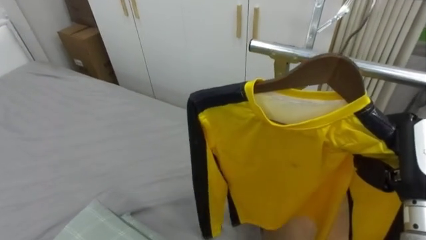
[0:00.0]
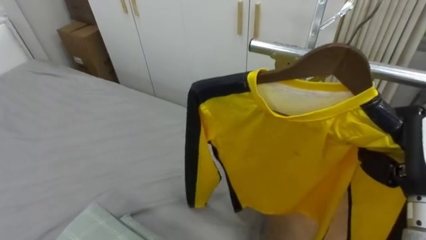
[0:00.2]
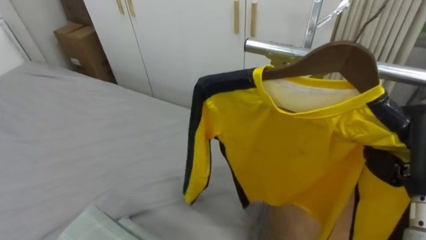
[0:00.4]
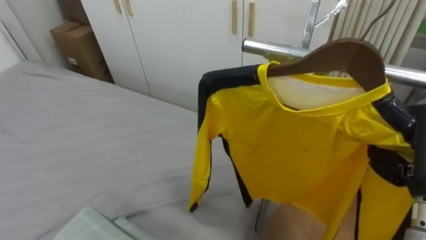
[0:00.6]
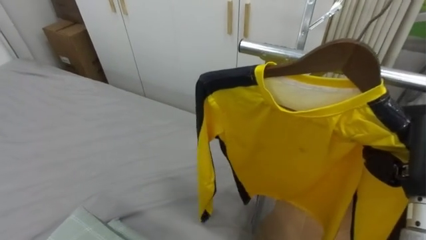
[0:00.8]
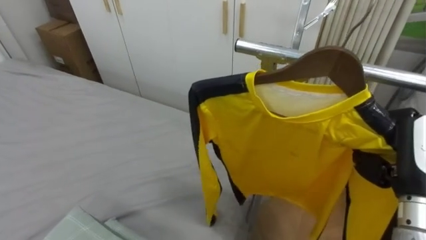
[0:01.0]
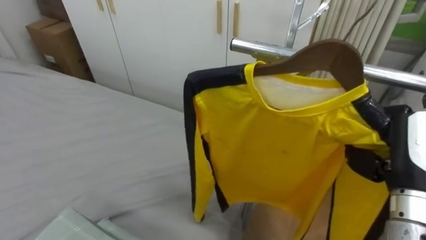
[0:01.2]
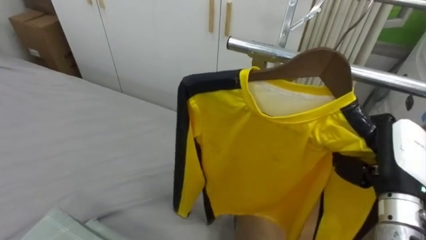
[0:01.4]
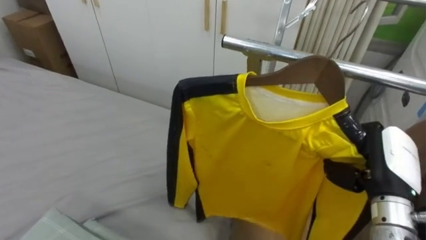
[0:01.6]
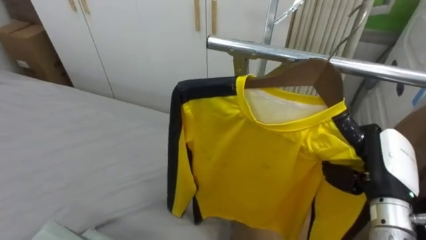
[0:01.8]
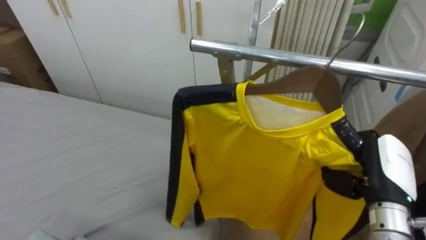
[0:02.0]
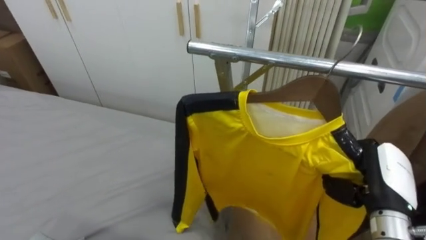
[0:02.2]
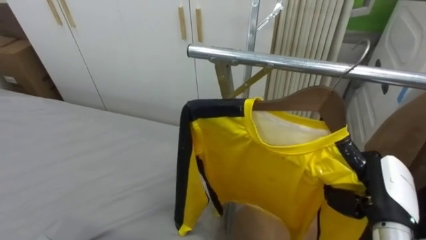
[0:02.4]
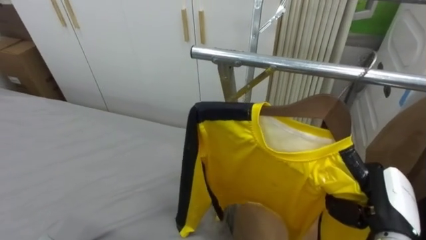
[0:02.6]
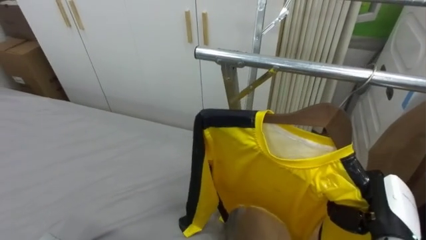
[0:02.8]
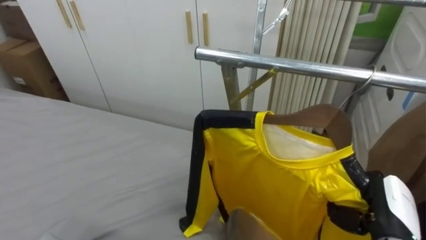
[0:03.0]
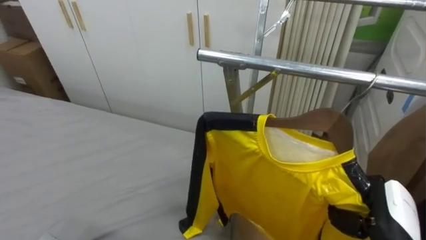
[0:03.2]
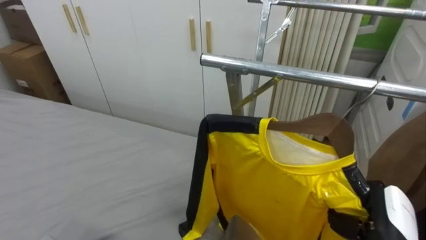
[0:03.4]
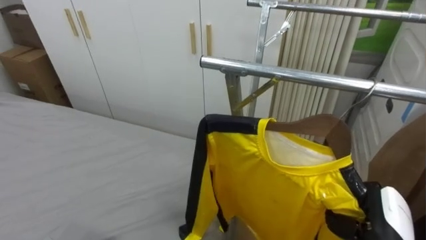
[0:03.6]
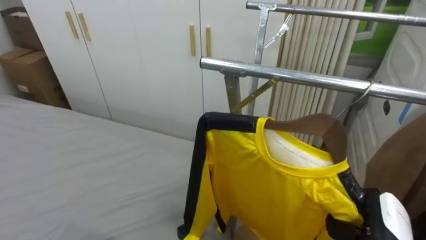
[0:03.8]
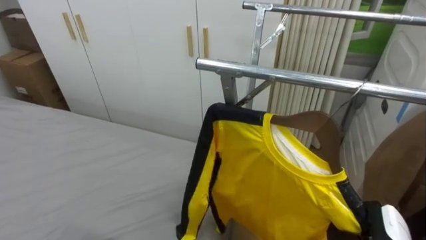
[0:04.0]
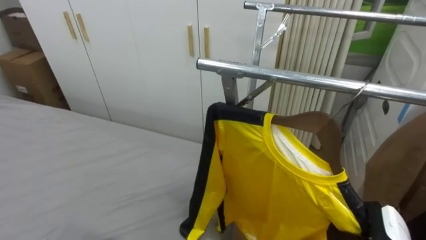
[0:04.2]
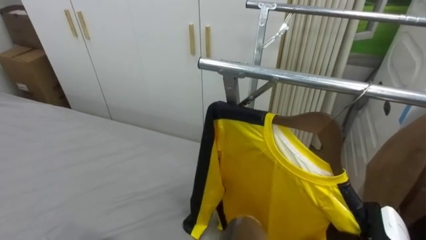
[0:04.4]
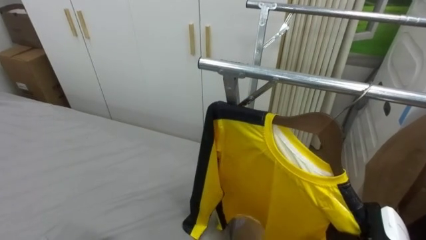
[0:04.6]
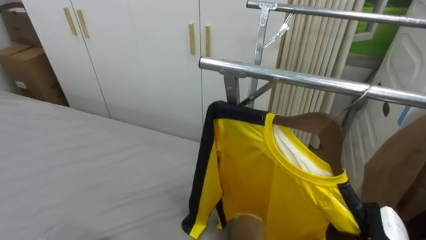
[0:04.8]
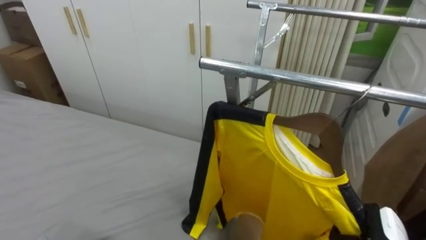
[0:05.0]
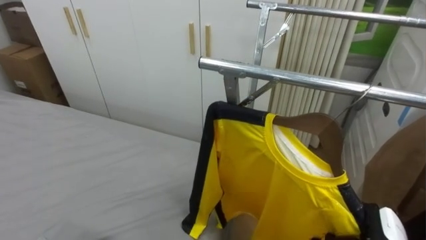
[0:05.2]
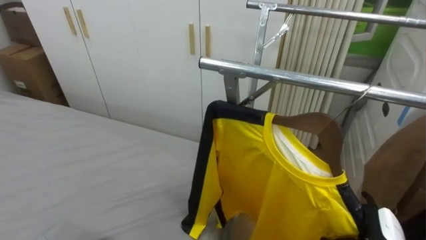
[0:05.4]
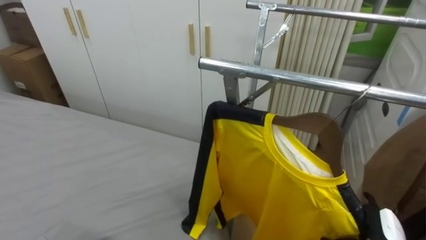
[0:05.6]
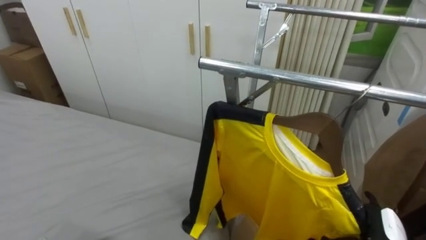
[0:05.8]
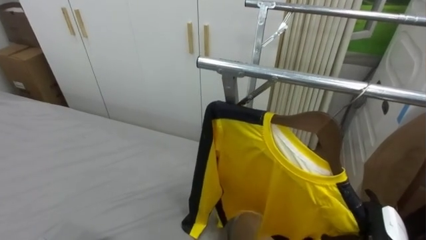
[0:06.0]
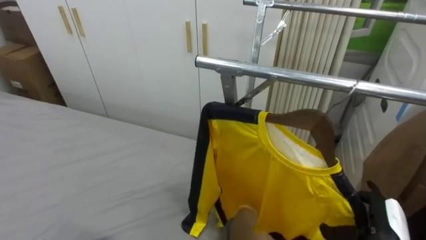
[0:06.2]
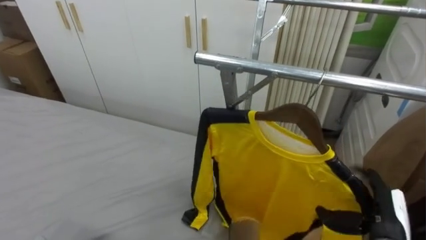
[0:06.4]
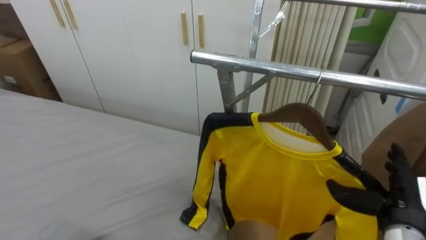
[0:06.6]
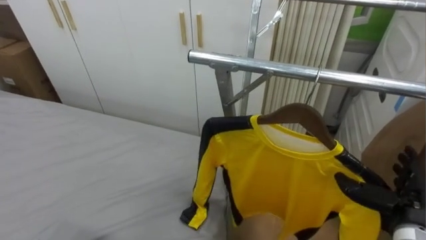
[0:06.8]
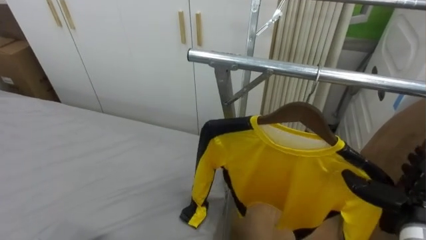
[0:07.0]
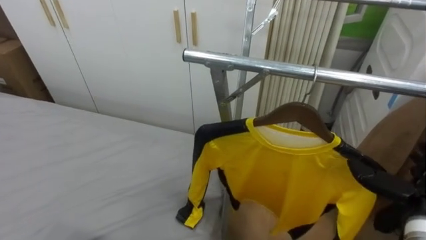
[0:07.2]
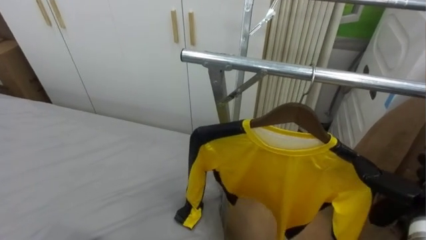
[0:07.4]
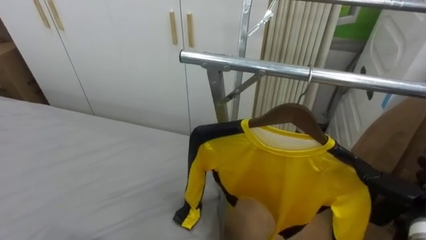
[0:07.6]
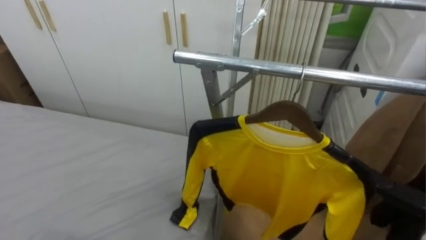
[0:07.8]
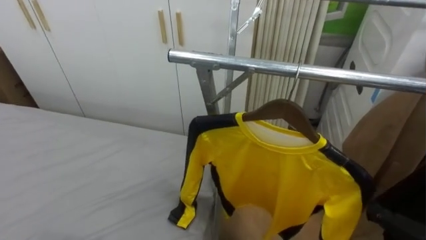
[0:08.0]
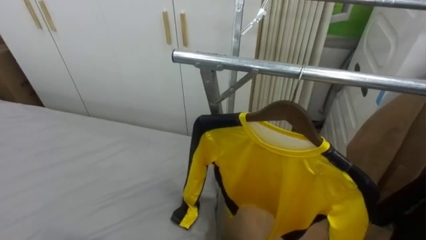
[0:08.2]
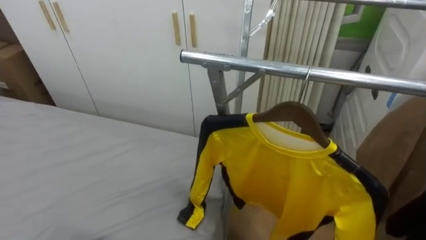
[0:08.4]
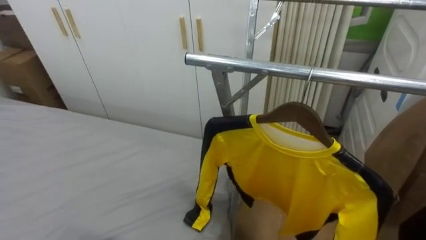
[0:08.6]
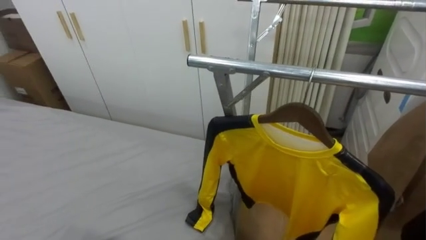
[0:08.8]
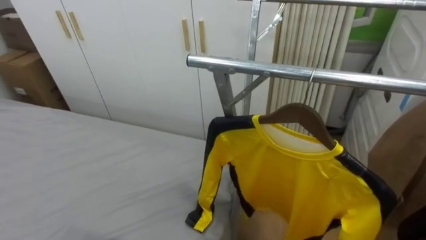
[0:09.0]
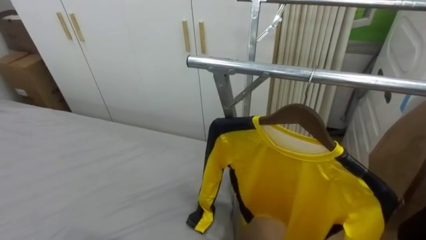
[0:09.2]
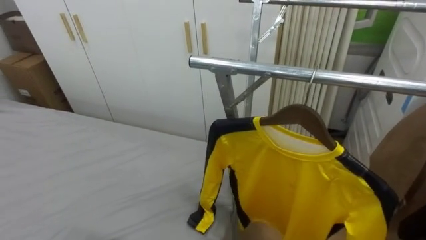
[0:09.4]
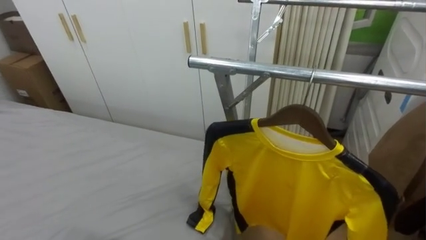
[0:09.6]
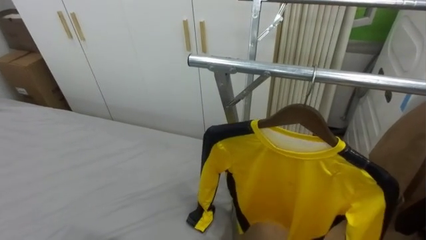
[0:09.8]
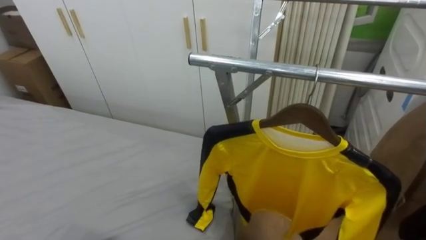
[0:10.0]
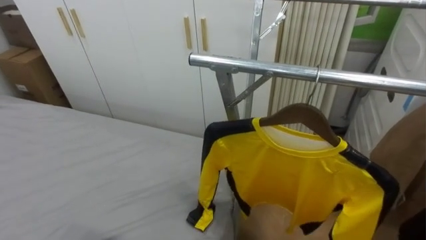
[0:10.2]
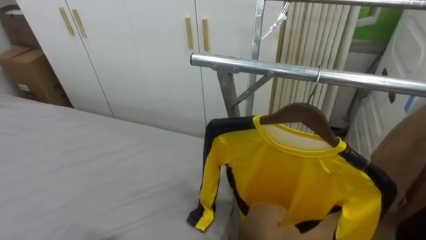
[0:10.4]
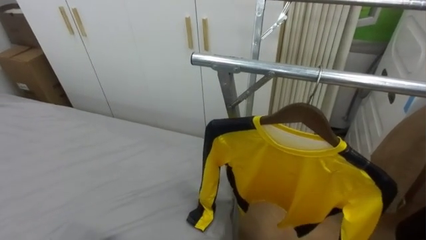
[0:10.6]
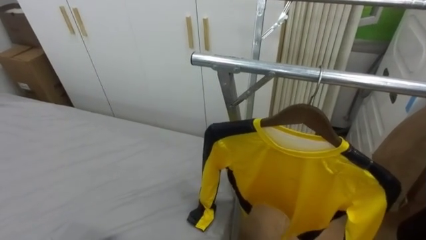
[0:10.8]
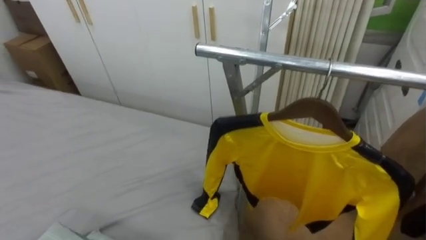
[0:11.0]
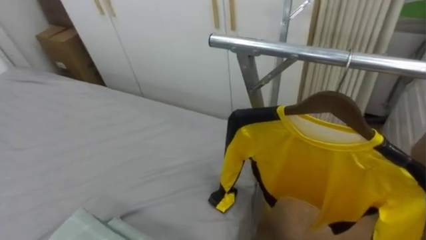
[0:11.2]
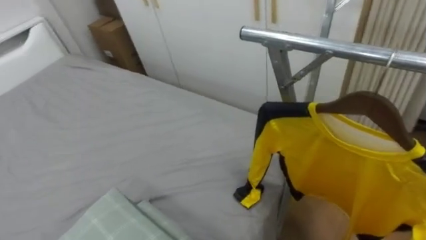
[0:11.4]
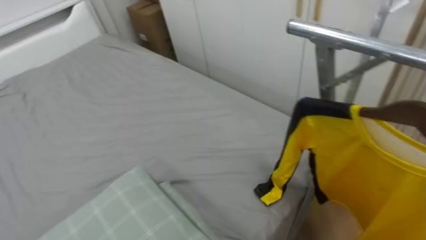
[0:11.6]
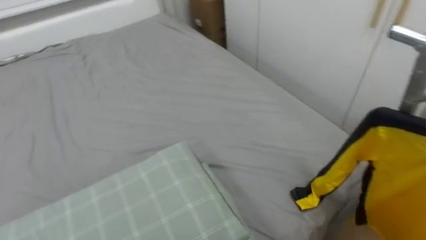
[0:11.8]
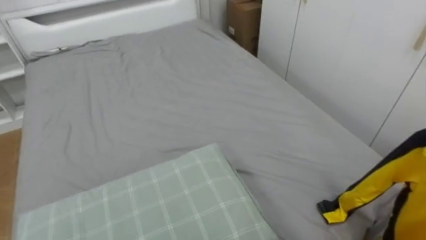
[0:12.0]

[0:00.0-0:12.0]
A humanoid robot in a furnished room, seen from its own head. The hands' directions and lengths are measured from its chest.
Task of the whole recording: Pick up the yellow shirt on the bed and hang it on the clothes rack on the right.
1.6 to 3.0 s: The right hand is displaced downward by approximately 10 cm.
10.4 to 12.0 s: The robot turns to its left by approximately 40 degrees.

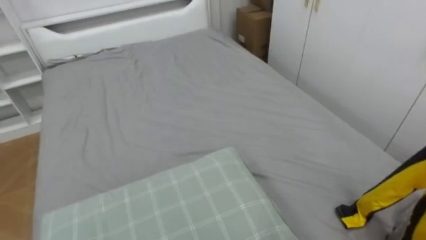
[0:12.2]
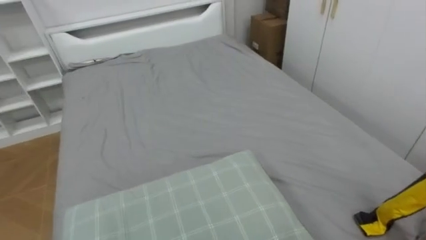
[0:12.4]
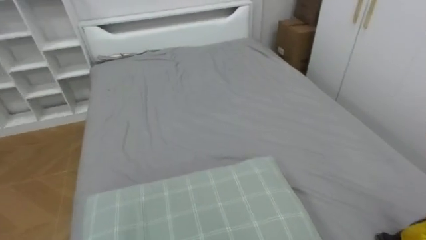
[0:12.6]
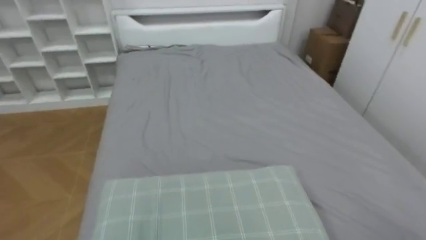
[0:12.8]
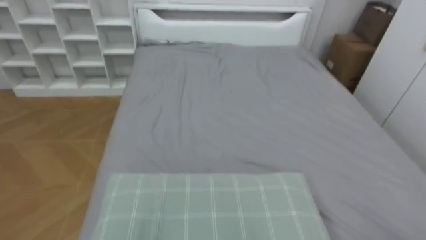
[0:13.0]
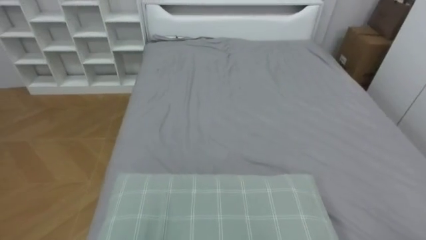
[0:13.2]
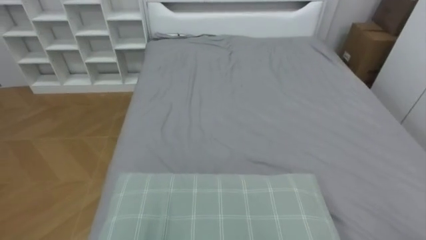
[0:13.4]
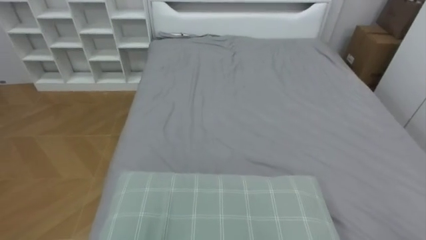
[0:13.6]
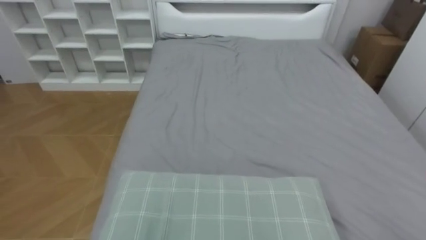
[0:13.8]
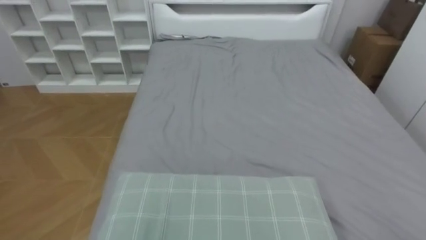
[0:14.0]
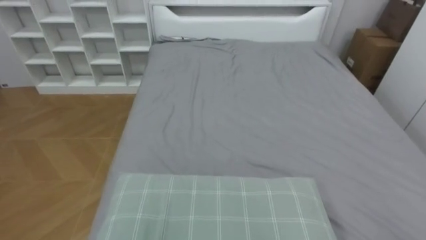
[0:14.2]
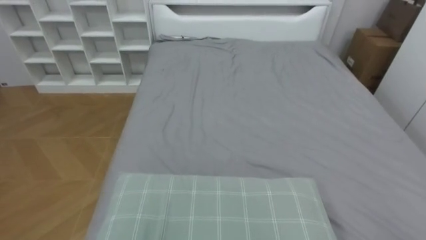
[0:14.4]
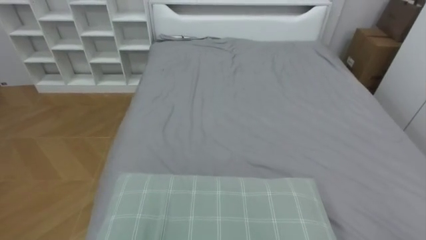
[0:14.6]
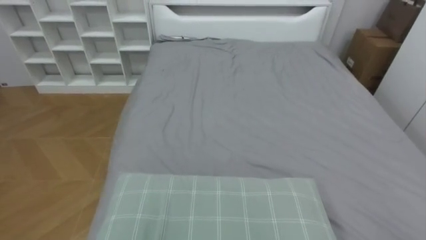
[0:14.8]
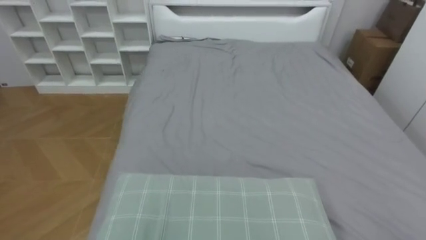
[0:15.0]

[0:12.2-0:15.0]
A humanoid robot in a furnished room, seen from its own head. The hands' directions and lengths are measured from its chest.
Task of the whole recording: Pick up the yellow shirt on the bed and hang it on the clothes rack on the right.
12.2 to 13.6 s: The robot's body swings roughly 25 degrees to its left.

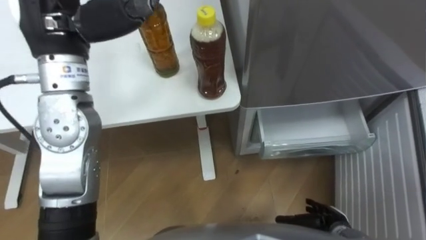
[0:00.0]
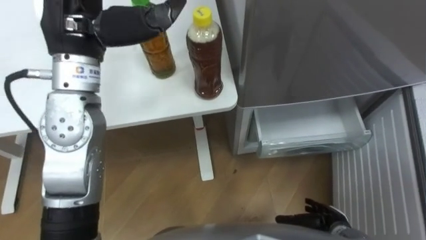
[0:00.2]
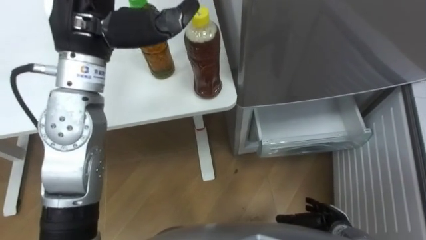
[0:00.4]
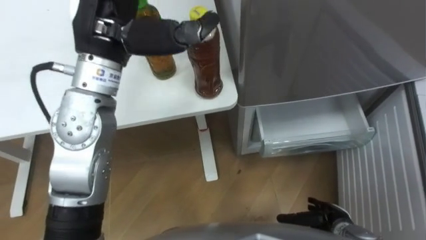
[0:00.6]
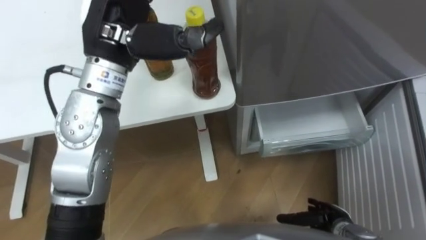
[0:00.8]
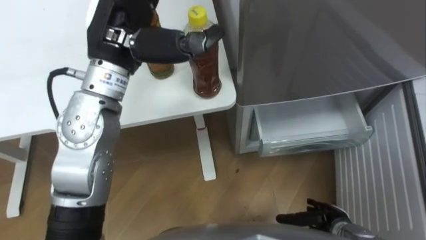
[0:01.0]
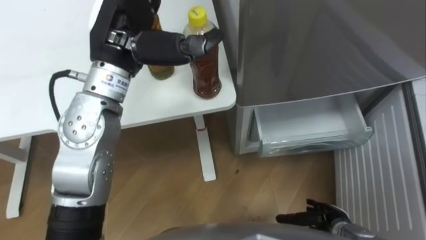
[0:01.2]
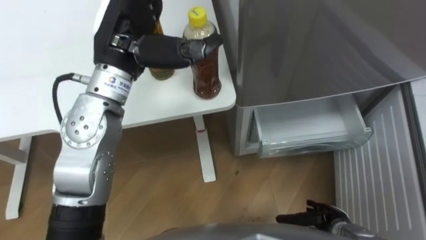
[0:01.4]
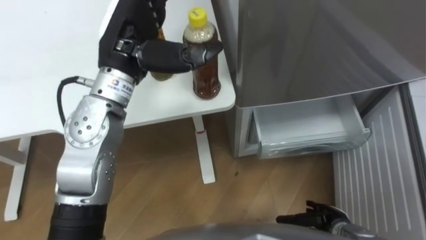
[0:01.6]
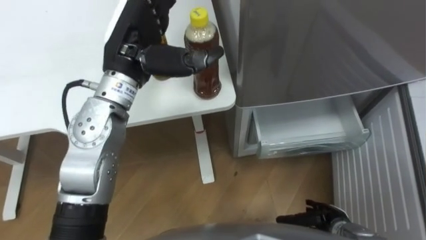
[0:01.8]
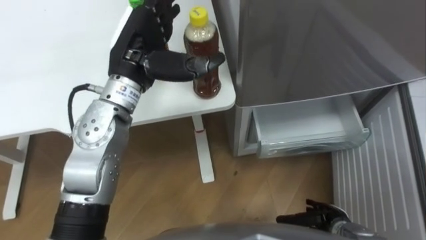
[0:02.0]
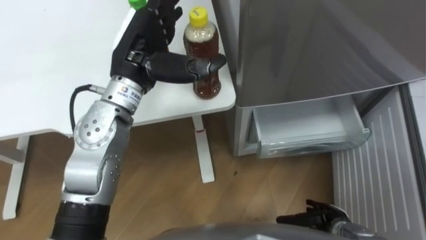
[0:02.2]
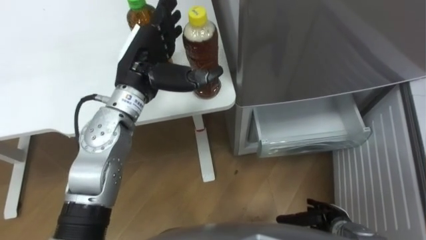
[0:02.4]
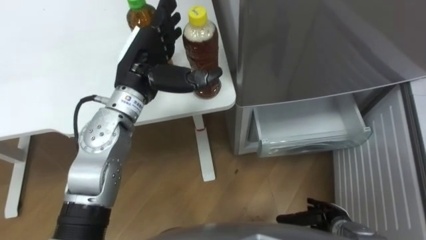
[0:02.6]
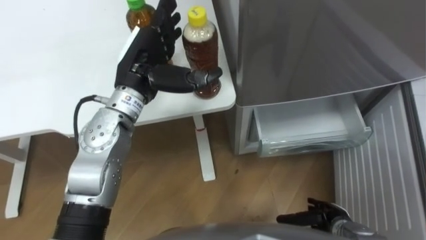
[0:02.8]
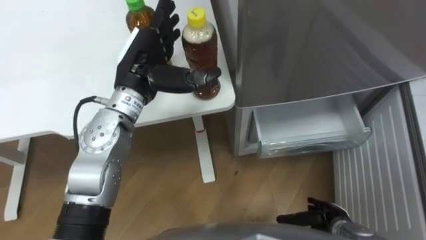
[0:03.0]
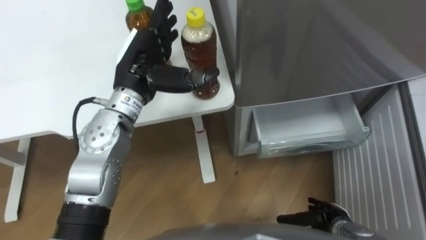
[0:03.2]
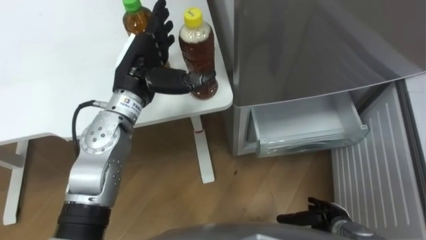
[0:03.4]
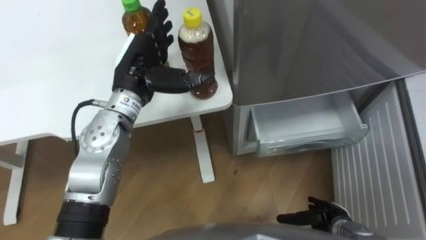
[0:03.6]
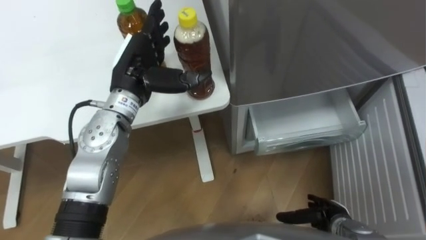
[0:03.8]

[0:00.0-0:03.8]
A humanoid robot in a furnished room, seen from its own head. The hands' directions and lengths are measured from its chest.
Task of the whole recording: Place the drink on the table on the bottom shelf of the refrigerator, then close the drawer and the refrigerator door.
0.0 to 1.2 s: The left hand travels to the right by about 5 cm.
1.2 to 2.6 s: The left hand travels downward by roughly 10 cm.
2.6 to 3.8 s: The hands make only small movements.
